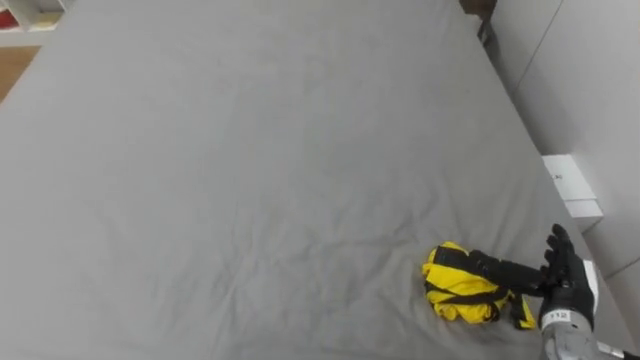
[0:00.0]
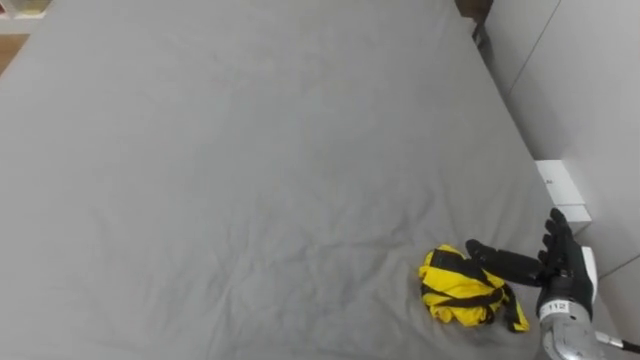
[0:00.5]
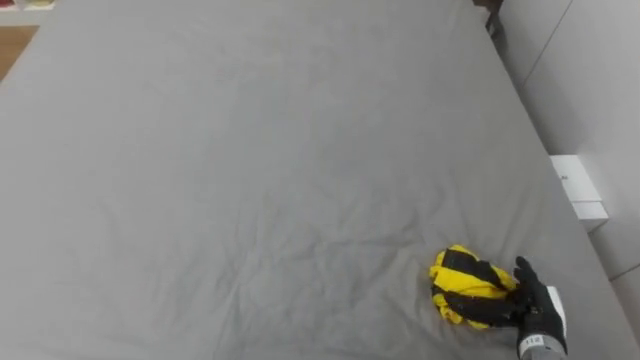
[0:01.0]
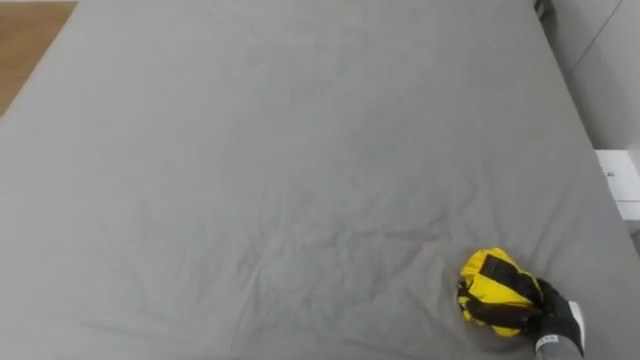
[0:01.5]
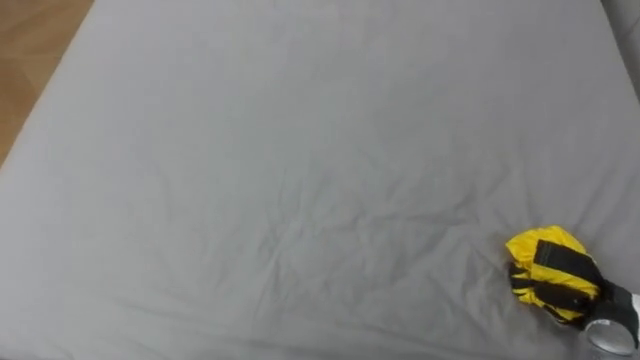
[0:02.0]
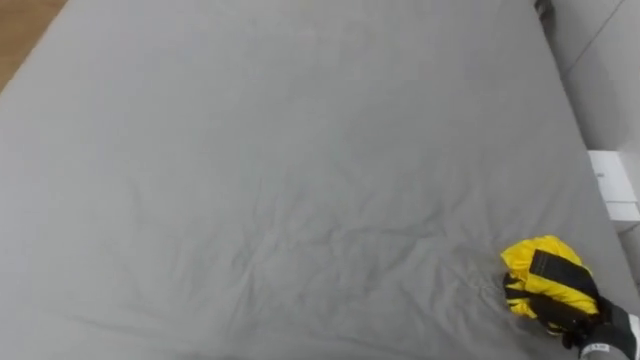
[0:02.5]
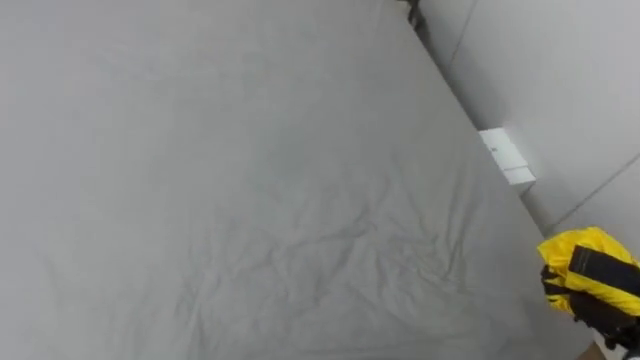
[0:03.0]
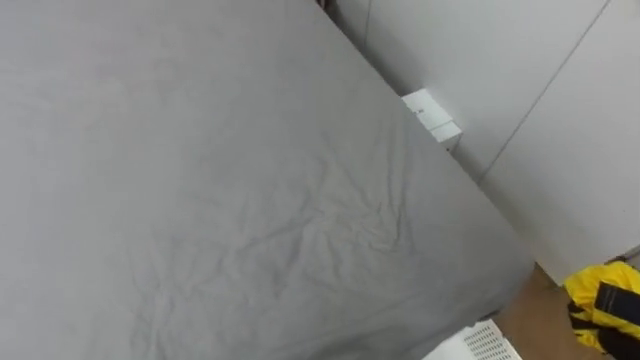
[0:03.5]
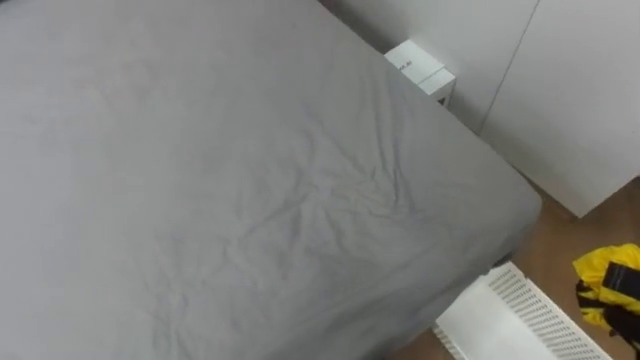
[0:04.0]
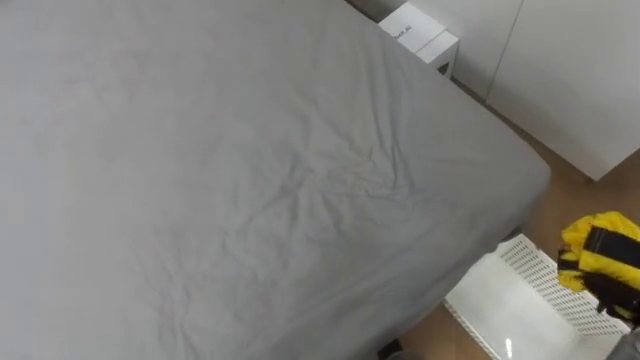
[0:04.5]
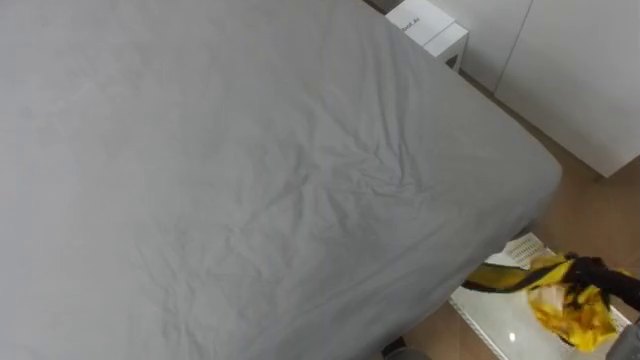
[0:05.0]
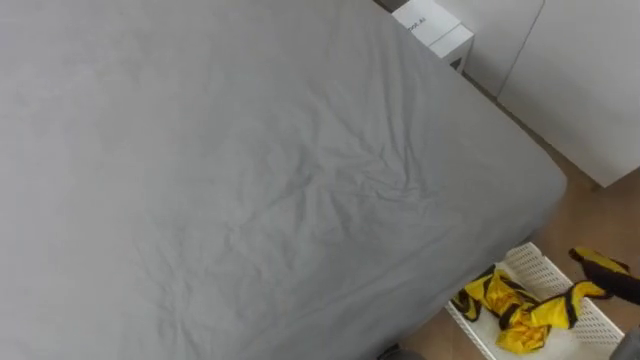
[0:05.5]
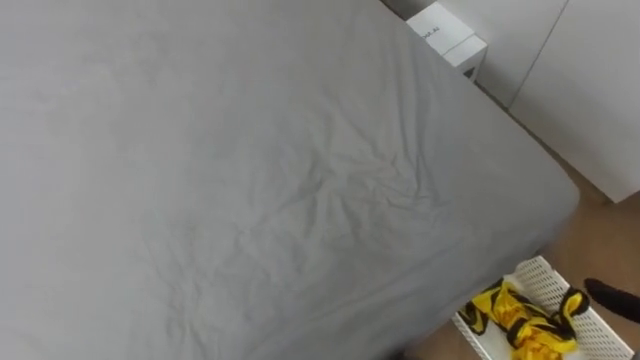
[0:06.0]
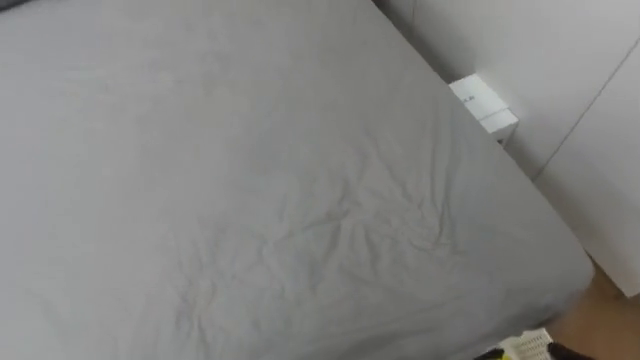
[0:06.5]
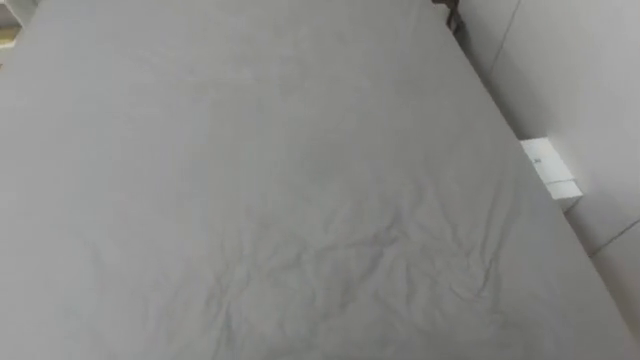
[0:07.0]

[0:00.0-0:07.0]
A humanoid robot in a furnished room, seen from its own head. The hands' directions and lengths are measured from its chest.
Task of the whole recording: Pick up the yellow clothes on the bed and place them into the white basket on the right.
0:00.0 to 0:02.0: The right hand is displaced to the right by some 5 cm, and closes its fingers.

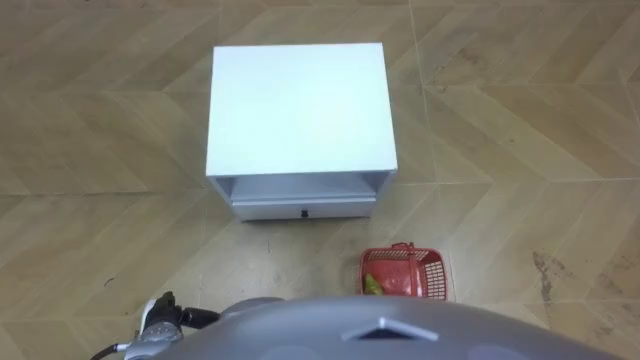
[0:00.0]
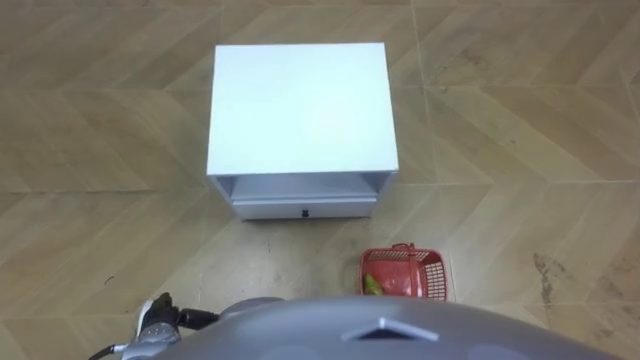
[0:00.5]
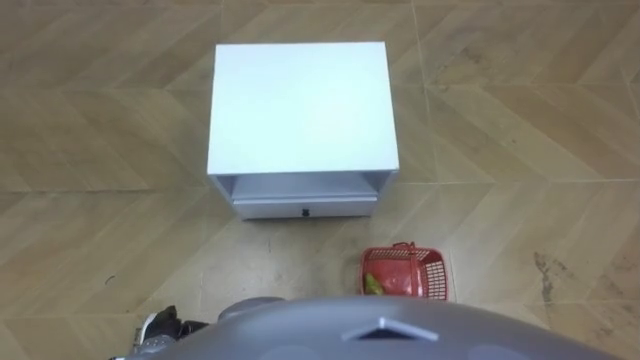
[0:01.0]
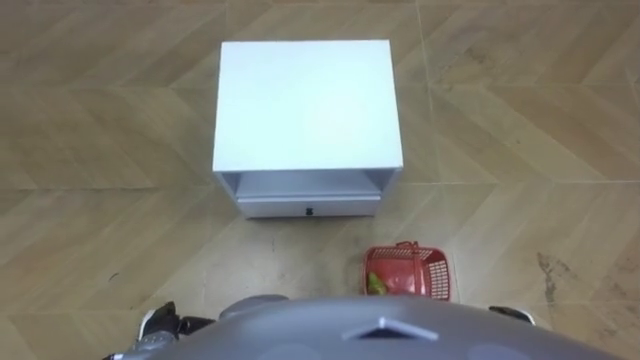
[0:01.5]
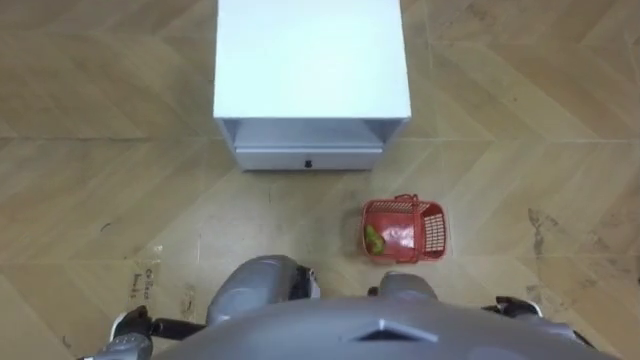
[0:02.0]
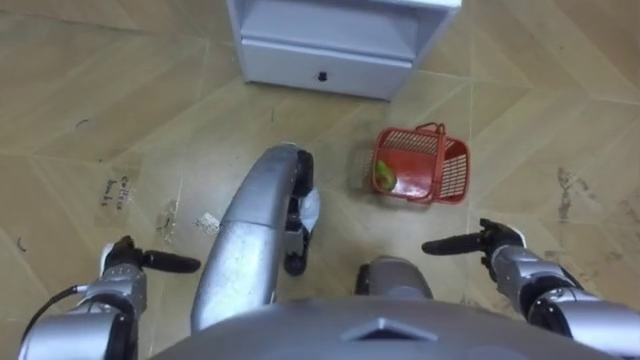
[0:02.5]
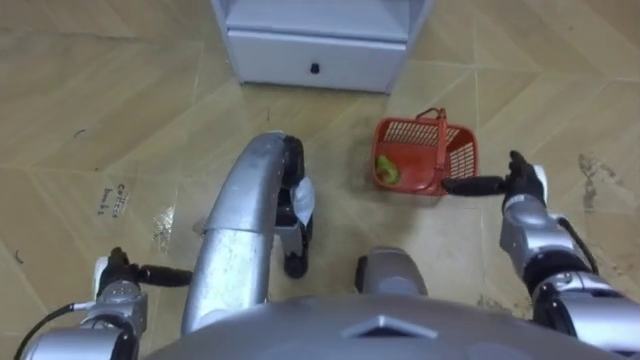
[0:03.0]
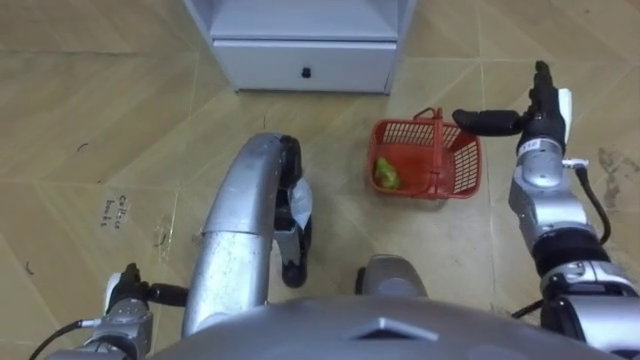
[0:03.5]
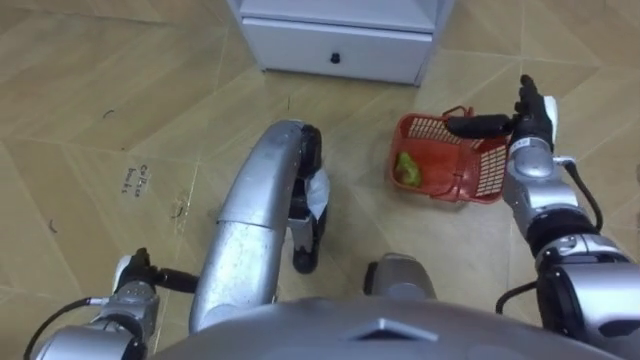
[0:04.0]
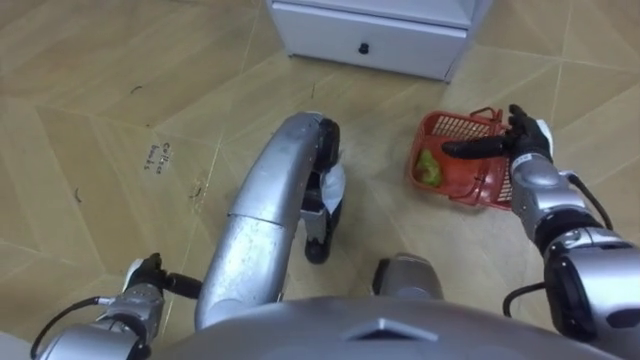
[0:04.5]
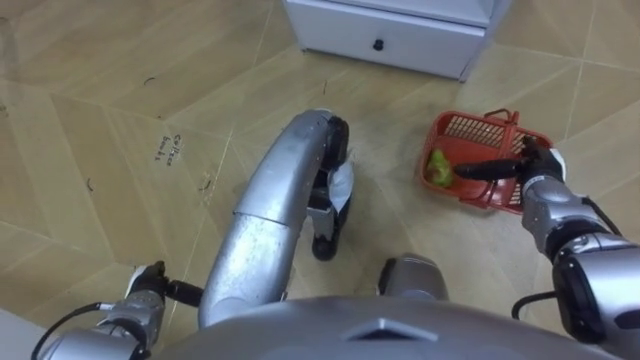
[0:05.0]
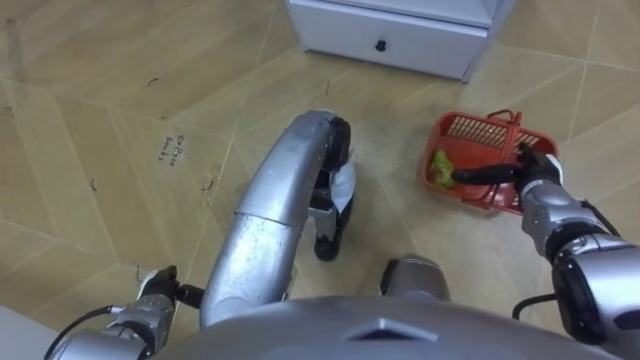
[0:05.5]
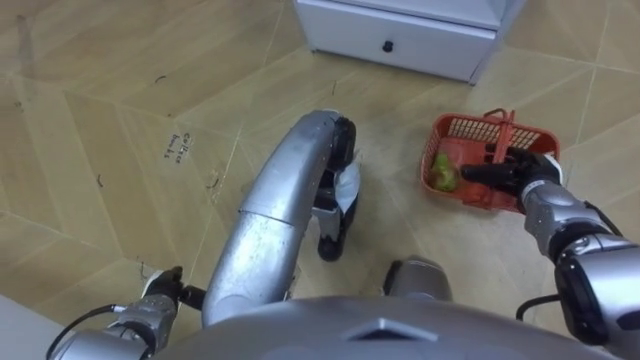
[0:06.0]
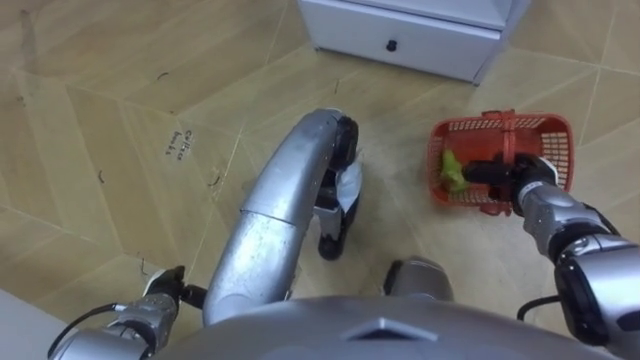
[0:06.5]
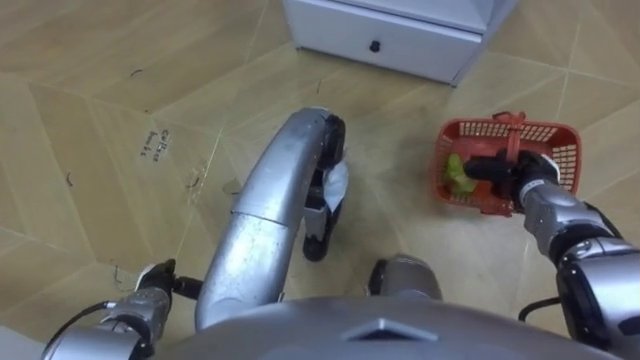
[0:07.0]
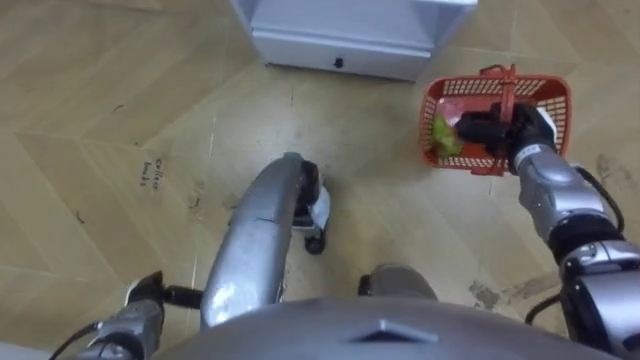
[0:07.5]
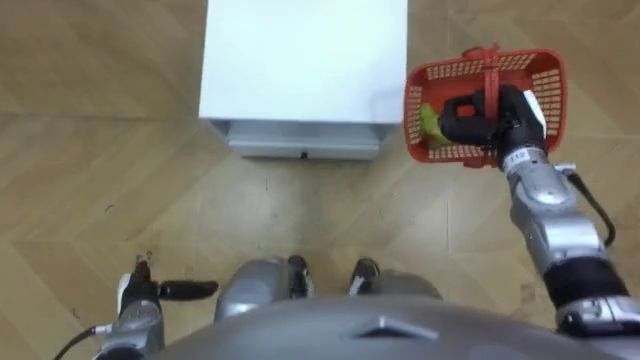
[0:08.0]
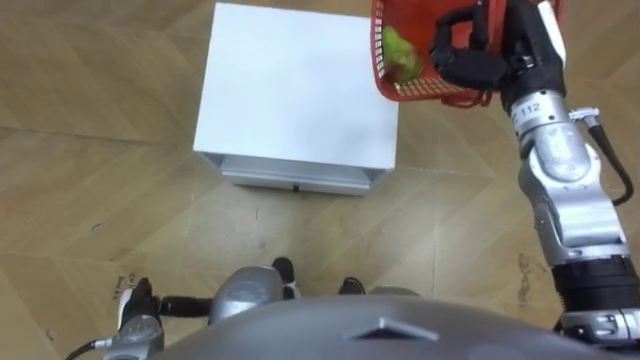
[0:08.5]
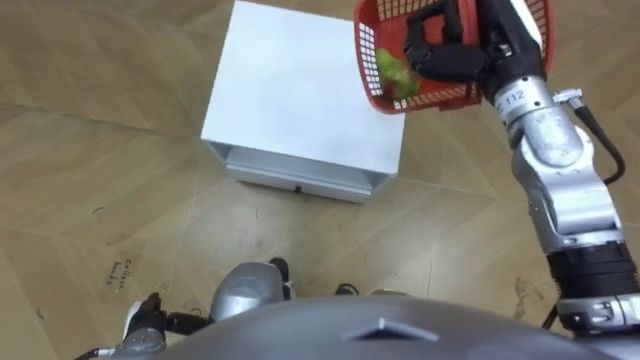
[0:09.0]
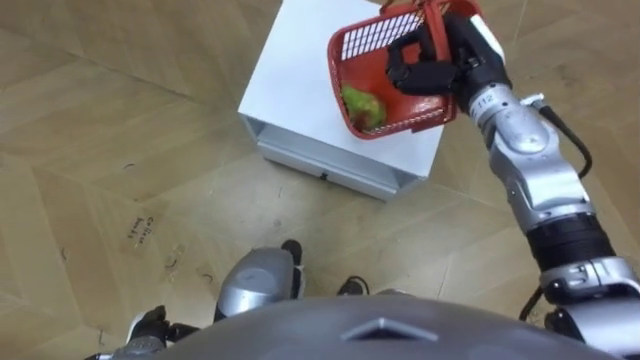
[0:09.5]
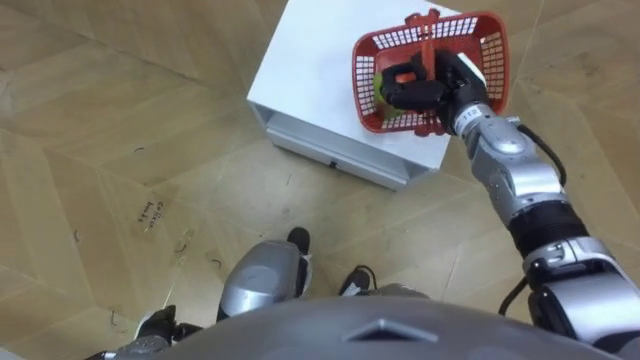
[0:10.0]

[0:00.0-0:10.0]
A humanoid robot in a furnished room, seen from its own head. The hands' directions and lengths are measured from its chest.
Task of the whole recording: Pick up the fruit basket from the floor and place it on the cabinet.
0:02.0 to 0:04.0: The right hand shifts approximately 30 cm forward and upward; the left hand goes some 10 cm forward.
0:04.0 to 0:06.0: The right hand moves backward and downward, about 10 cm, and closes.
0:06.0 to 0:08.0: The right hand is displaced upward and to the left by about 10 cm, and closes up.
0:08.0 to 0:10.0: The left hand moves backward, some 5 cm. The right hand moves to the left, roughly 10 cm, and moves about 10 cm upward and comes back.

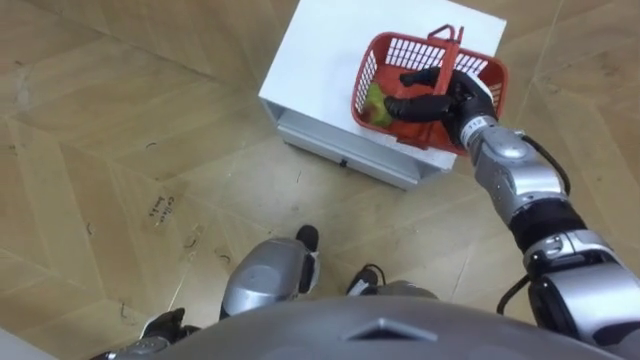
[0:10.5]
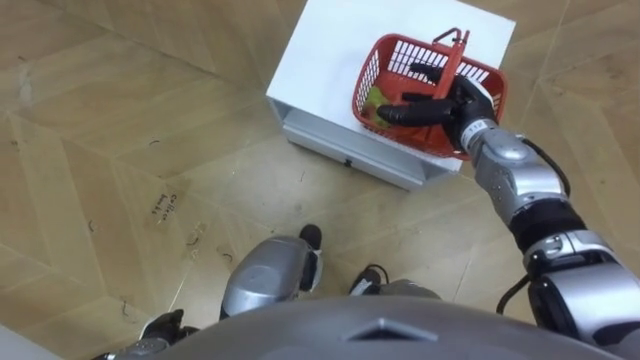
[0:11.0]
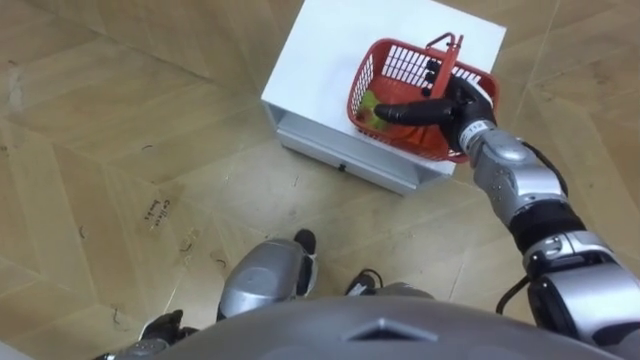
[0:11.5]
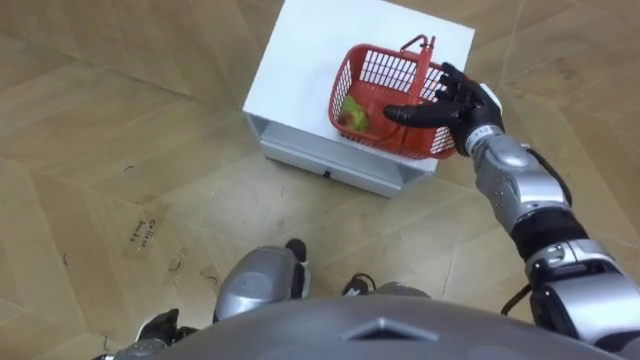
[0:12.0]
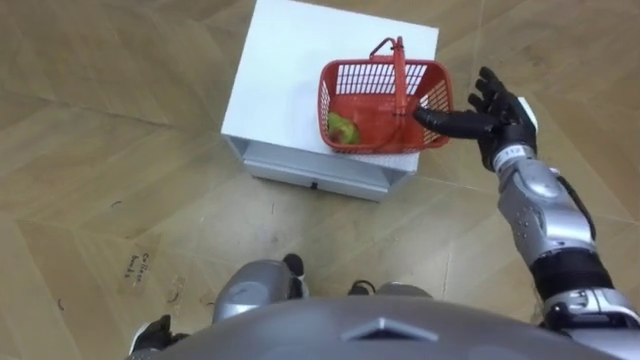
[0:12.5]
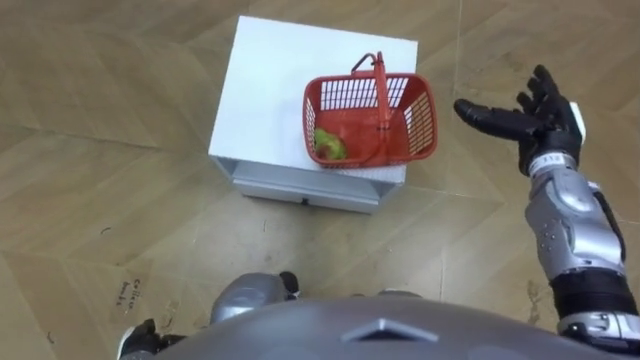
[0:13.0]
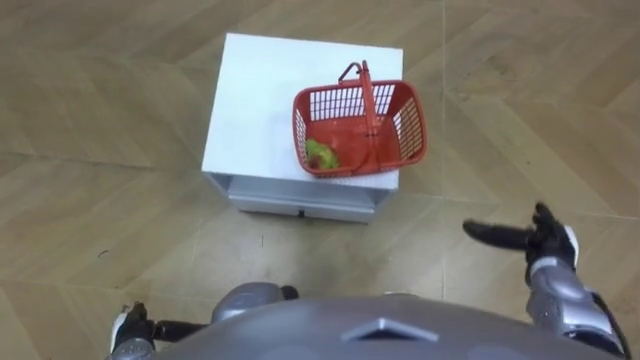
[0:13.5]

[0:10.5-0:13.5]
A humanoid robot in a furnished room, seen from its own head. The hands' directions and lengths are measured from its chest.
Task of the whole recording: Pick up the fruit basket from the floor and place it on the cabinet.
0:10.5 to 0:12.0: The right hand opens up.
0:12.0 to 0:13.5: The right hand travels backward, to the right and downward by roughly 25 cm.
